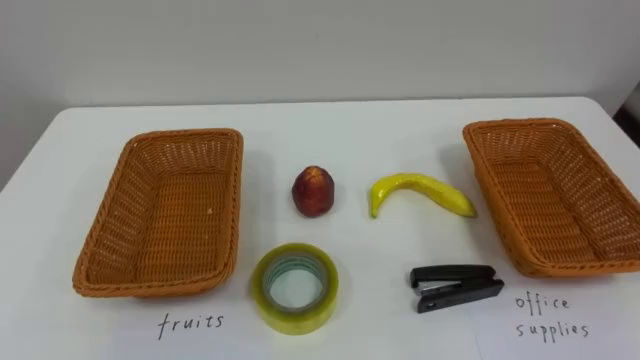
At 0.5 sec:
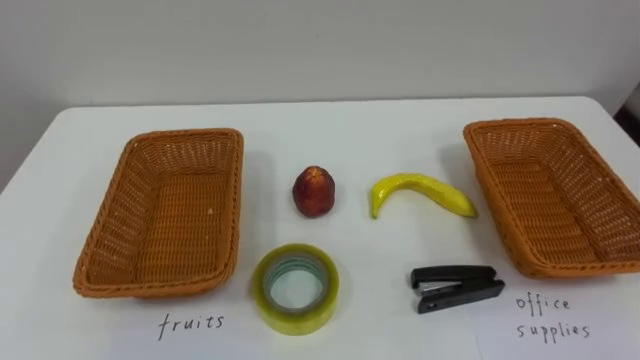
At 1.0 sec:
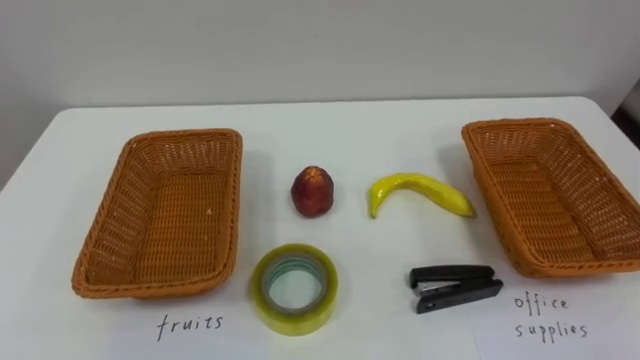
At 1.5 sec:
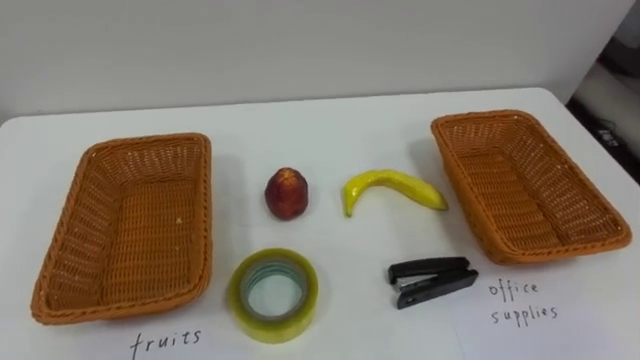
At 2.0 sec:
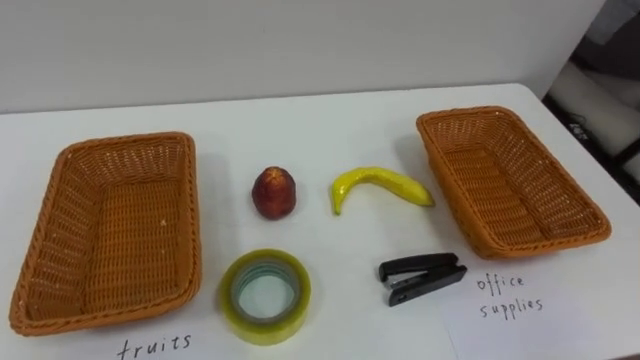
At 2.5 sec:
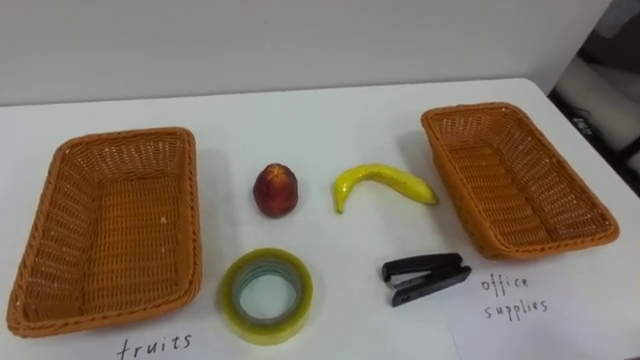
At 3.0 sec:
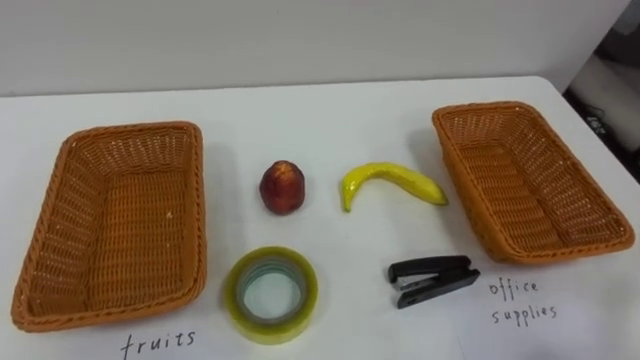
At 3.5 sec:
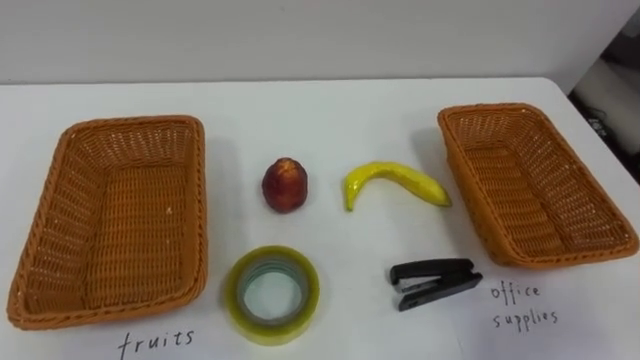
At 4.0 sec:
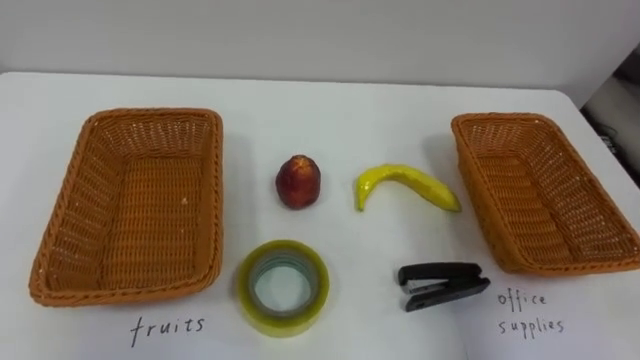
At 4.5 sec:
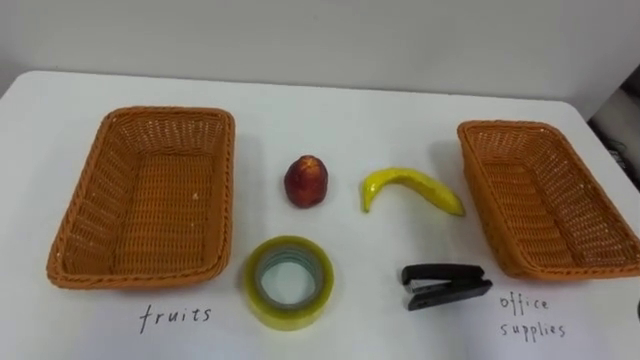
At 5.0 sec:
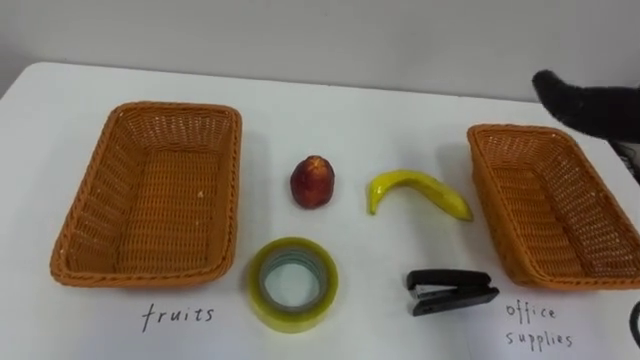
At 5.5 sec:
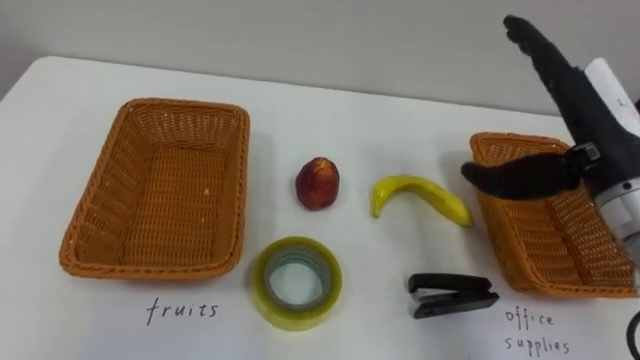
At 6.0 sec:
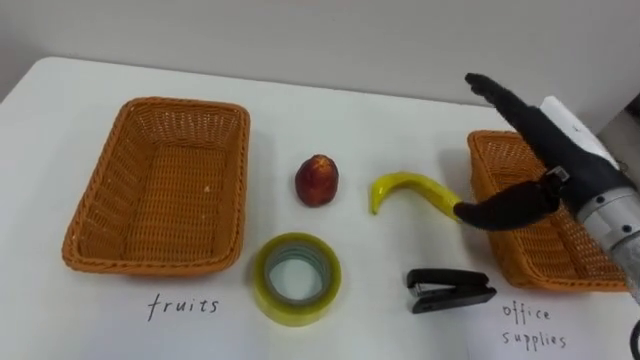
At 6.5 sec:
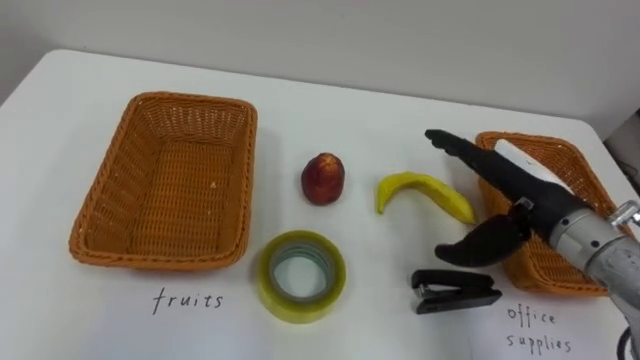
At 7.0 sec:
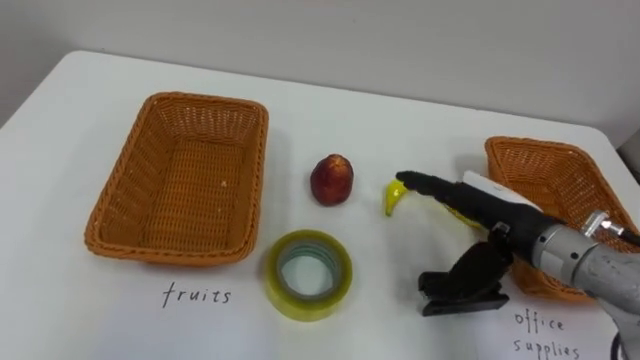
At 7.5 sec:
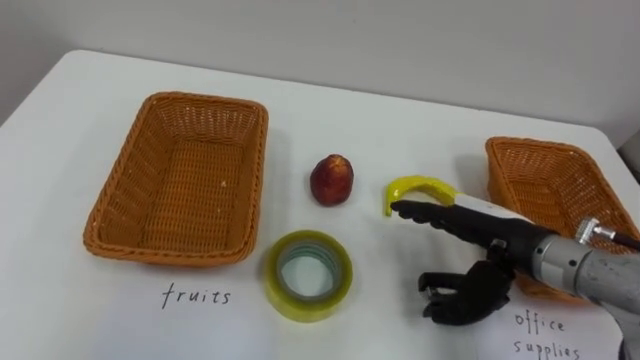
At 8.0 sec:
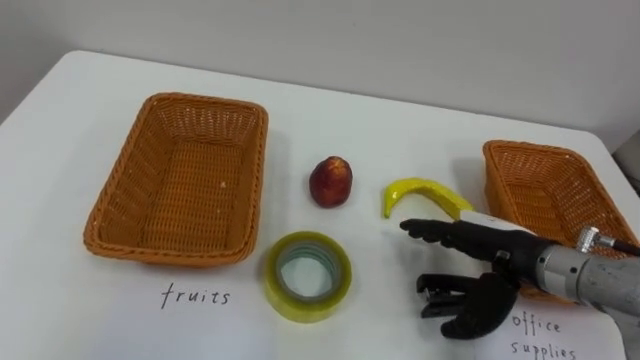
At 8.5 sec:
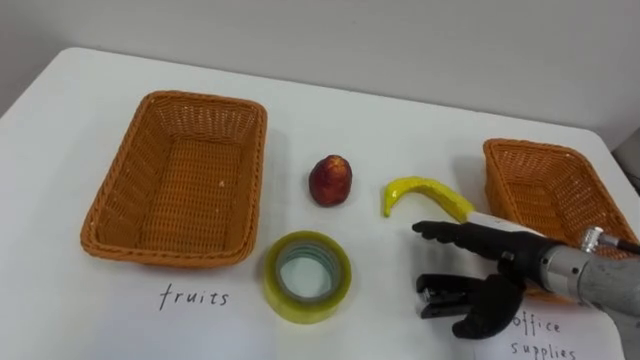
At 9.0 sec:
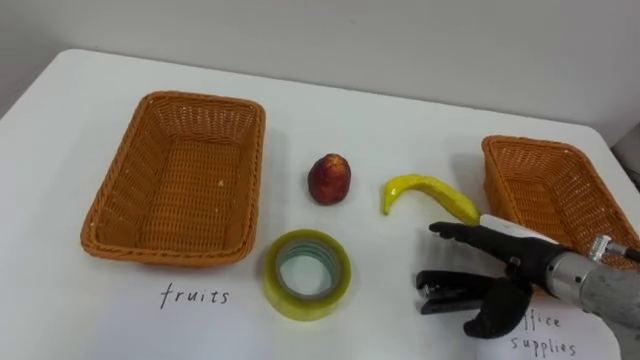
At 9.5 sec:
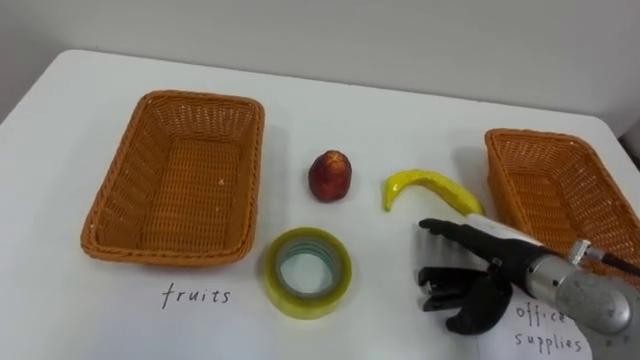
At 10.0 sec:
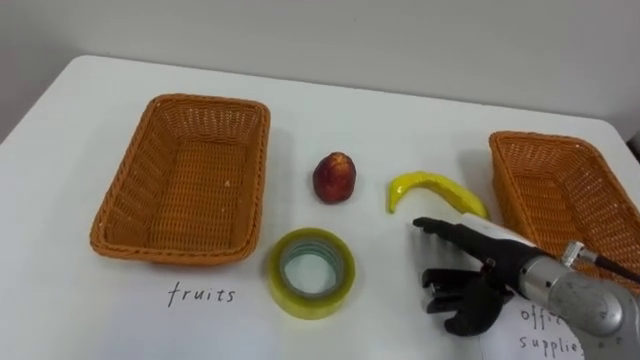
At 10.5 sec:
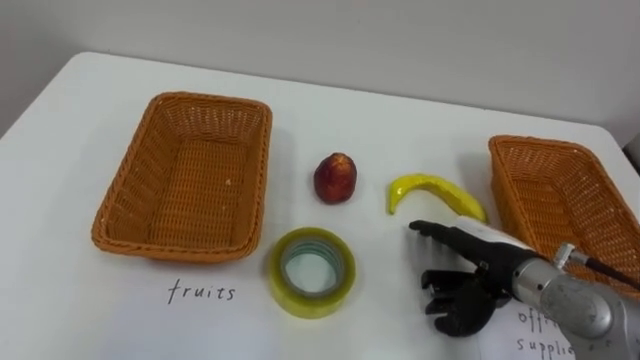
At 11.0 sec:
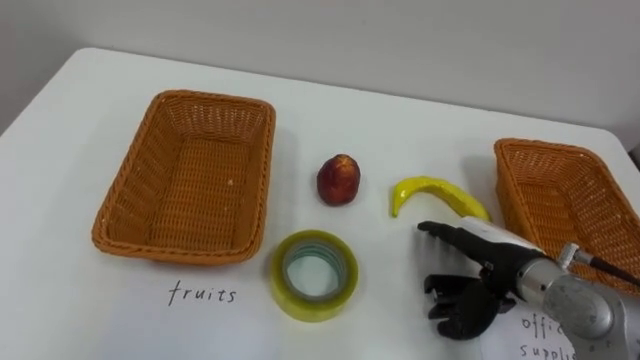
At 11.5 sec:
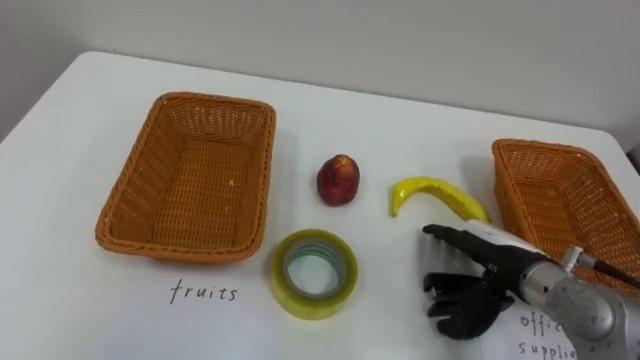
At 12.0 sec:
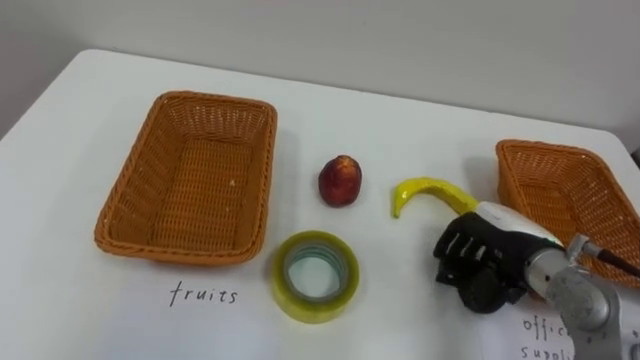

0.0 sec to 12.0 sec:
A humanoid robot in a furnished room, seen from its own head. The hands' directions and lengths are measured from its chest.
Task of the whole recording: Separate the items on the table and place them into the two baskets.
6.0 sec to 8.0 sec: The right hand is displaced downward by about 10 cm.
10.0 sec to 12.0 sec: The right hand closes up.

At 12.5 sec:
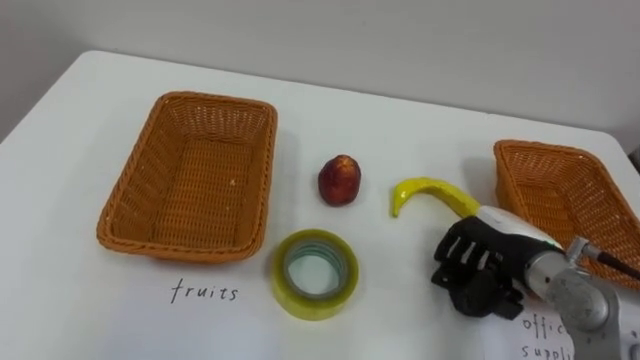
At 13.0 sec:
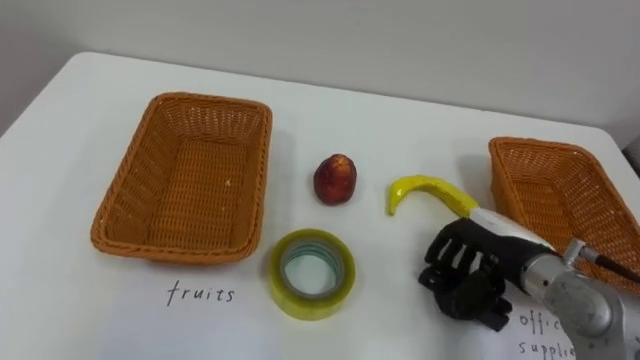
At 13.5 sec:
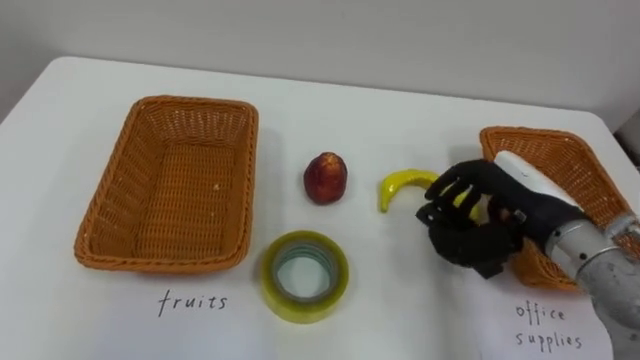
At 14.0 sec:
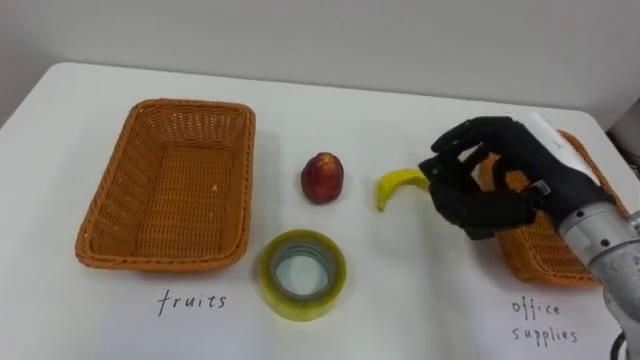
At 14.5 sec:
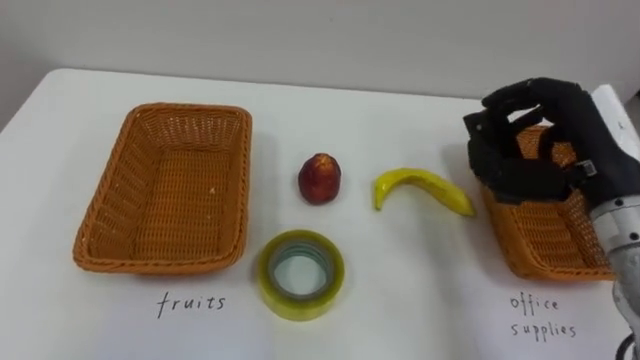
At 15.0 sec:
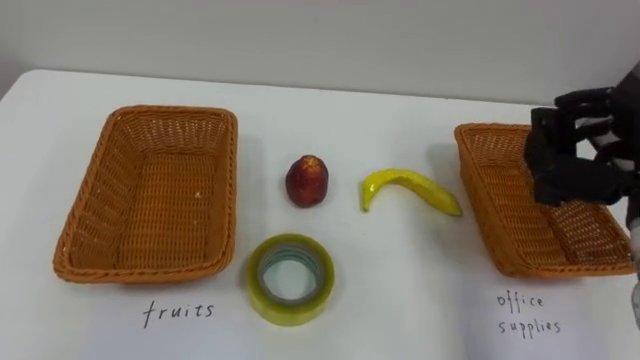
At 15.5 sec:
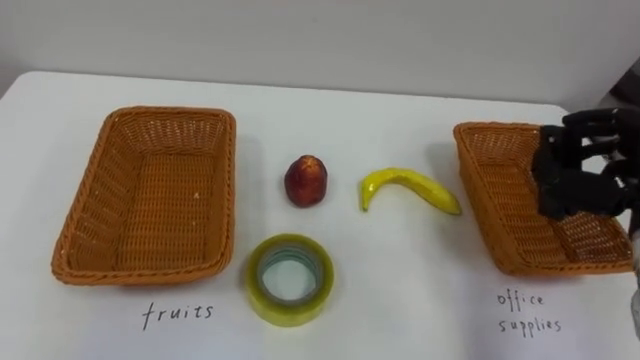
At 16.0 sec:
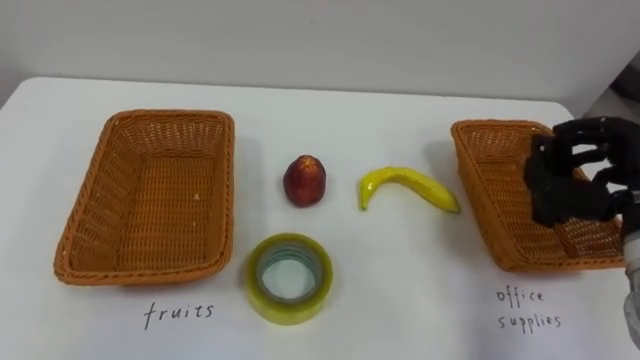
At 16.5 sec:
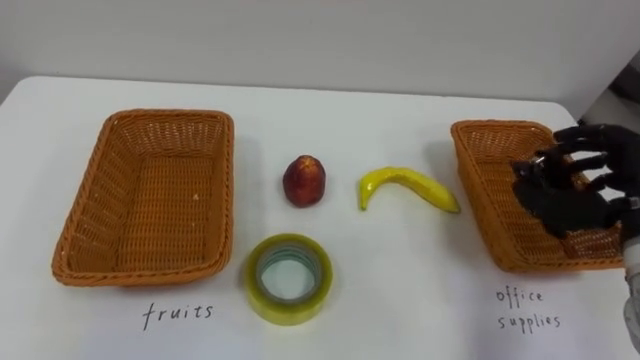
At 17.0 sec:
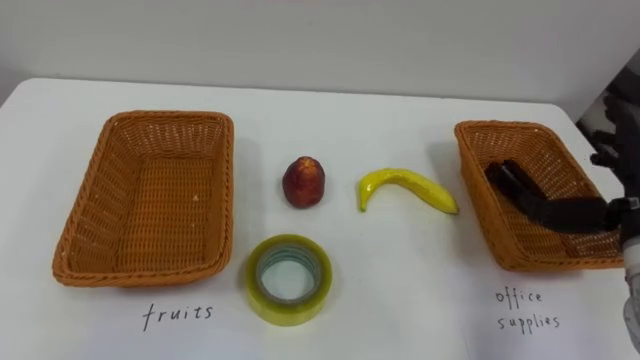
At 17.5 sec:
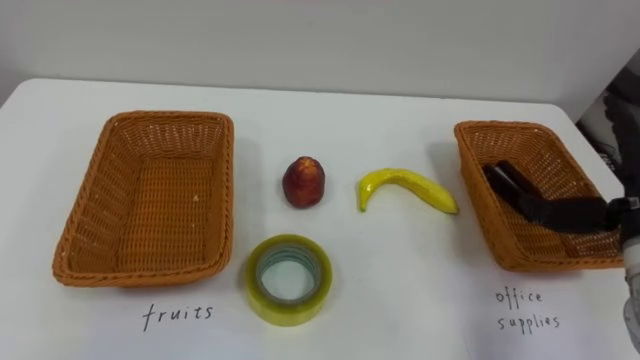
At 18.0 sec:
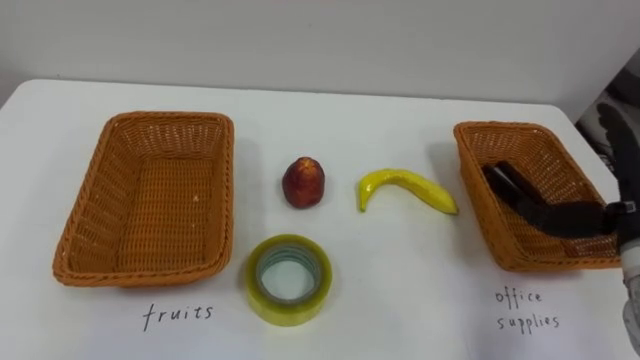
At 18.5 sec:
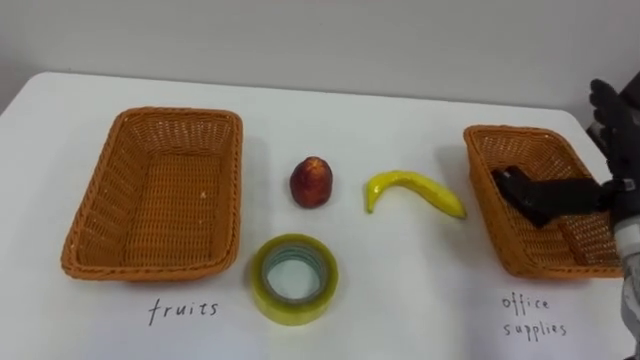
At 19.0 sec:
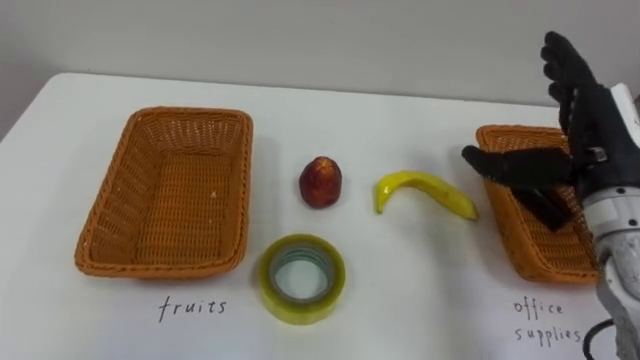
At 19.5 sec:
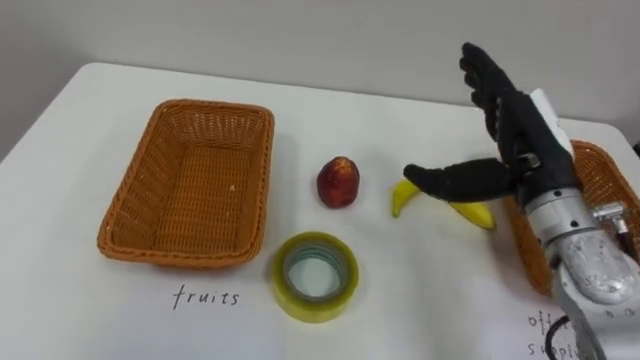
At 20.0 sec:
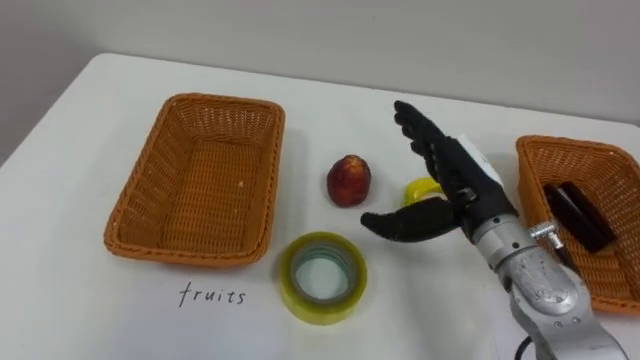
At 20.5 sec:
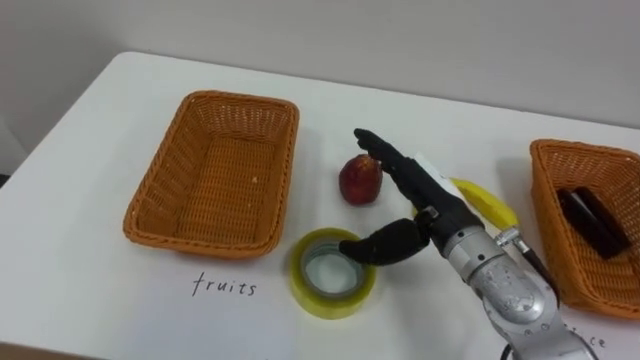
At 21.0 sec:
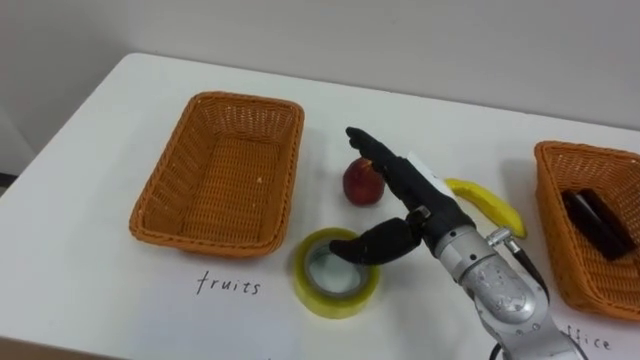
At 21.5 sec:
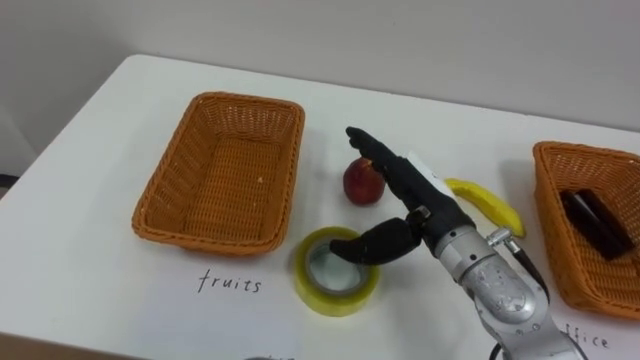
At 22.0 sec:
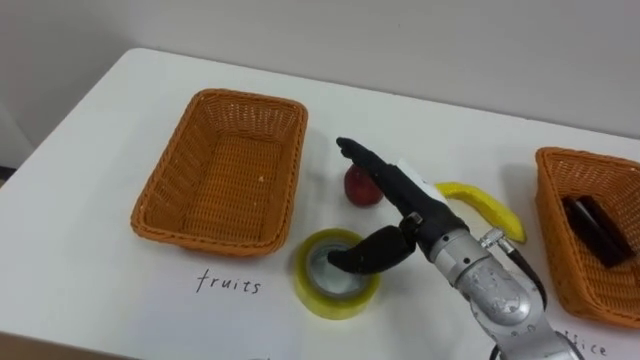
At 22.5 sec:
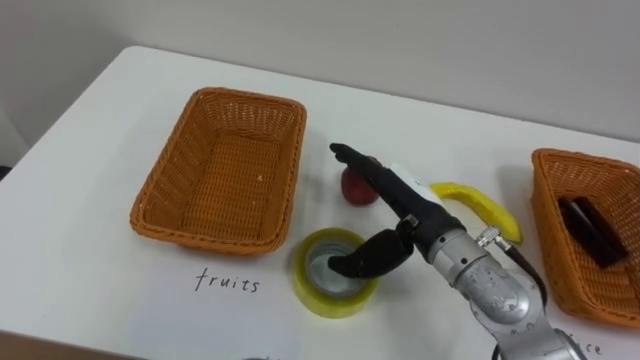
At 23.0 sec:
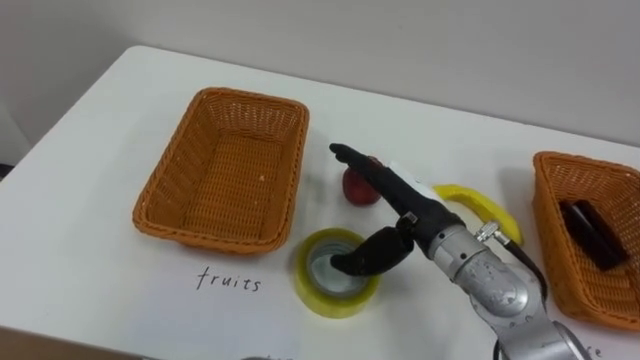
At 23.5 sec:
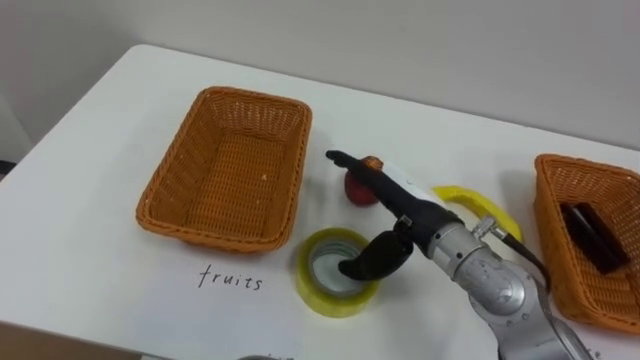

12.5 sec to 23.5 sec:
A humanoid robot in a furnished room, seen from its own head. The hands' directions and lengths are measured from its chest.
Task of the whole recording: Separate the items on the table and place them into the two baskets.
12.5 sec to 14.5 sec: The right hand heads upward, covering some 15 cm.
16.0 sec to 18.0 sec: The right hand opens up.
18.0 sec to 20.0 sec: The right hand travels to the left by roughly 15 cm.
20.0 sec to 21.5 sec: The right hand shifts by about 5 cm.
